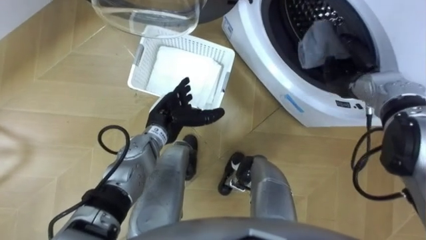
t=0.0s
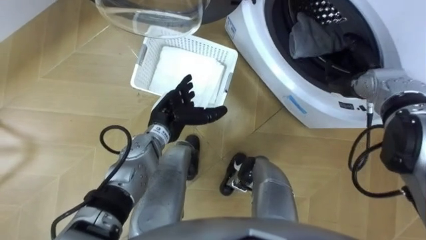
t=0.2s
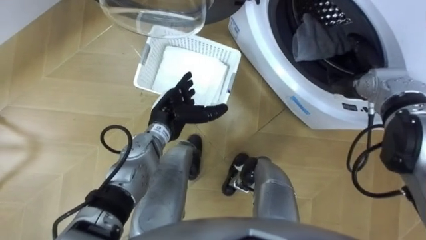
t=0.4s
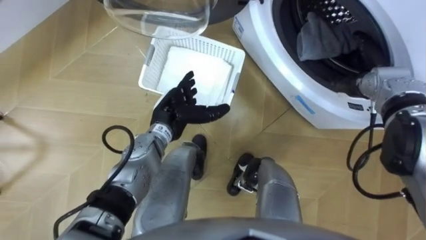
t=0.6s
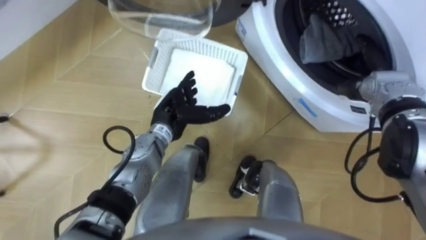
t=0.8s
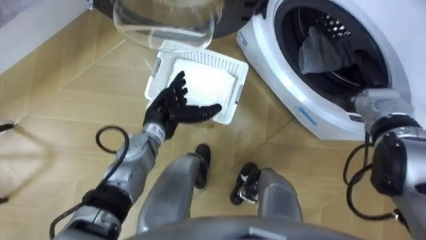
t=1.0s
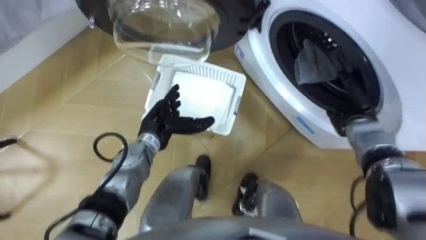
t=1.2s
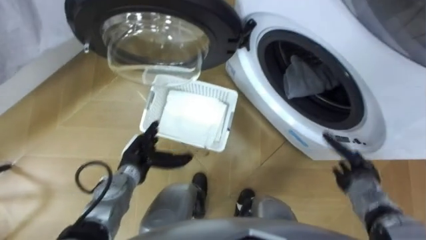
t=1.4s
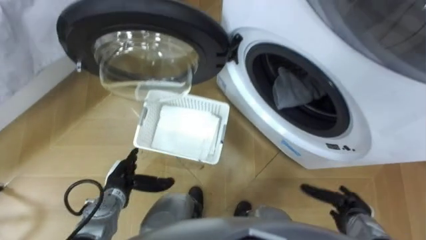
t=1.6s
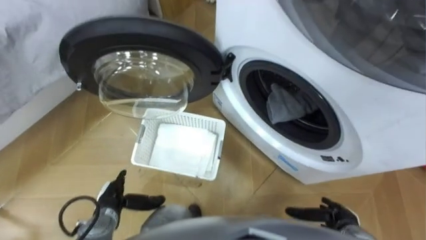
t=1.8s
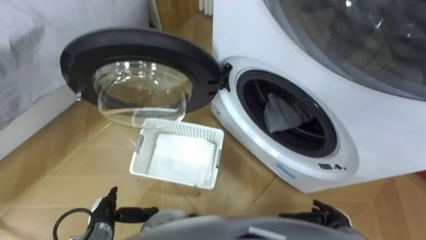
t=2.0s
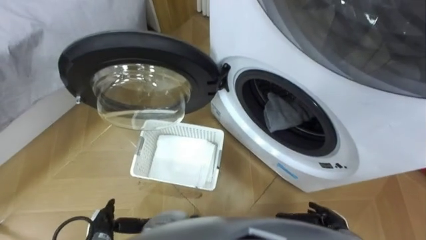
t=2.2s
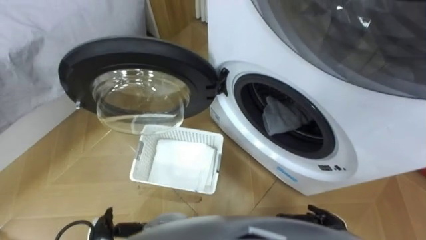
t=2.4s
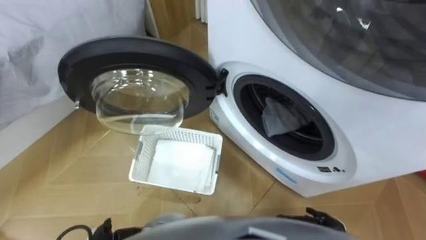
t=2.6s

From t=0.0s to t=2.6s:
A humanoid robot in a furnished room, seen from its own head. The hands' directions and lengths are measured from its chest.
Task of the whole recording: Take the towel from the basket and put it into the washing machine.
From t=0.0s to t=1.2s: The right hand is displaced backward and downward by approximately 10 cm.
From t=1.2s to t=2.6s: The right hand is displaced backward and downward by some 25 cm.

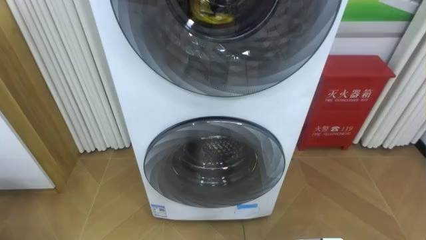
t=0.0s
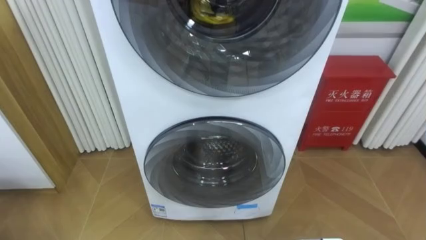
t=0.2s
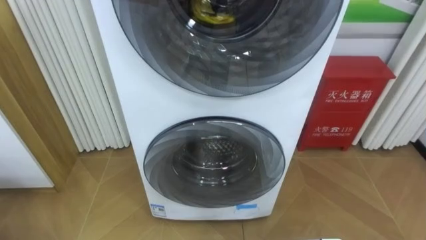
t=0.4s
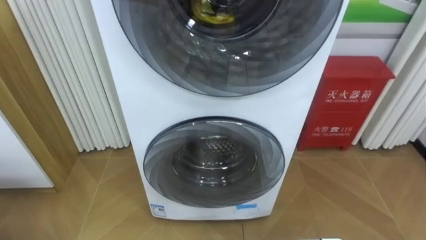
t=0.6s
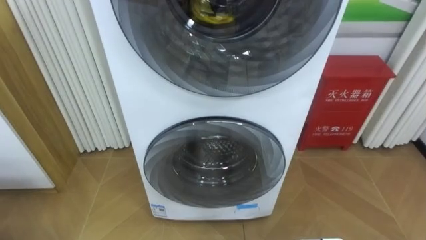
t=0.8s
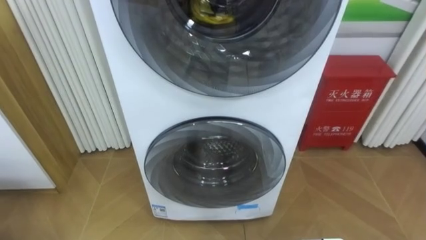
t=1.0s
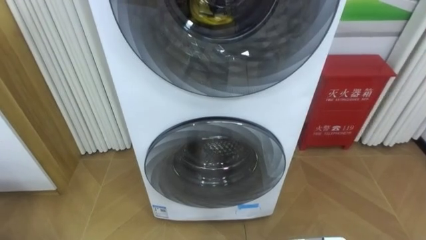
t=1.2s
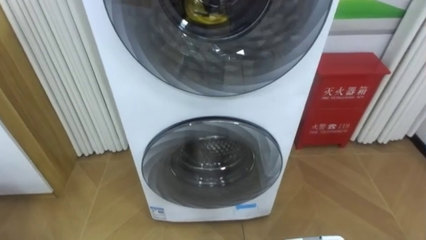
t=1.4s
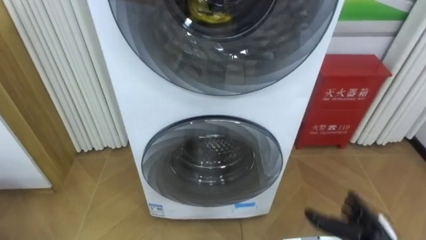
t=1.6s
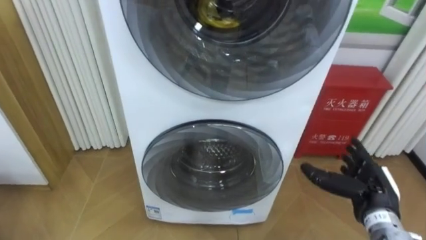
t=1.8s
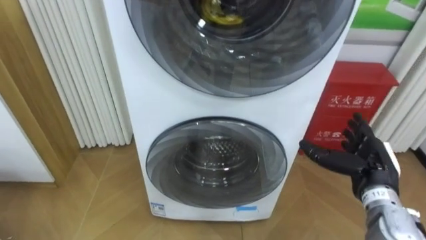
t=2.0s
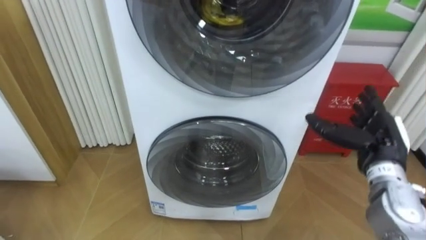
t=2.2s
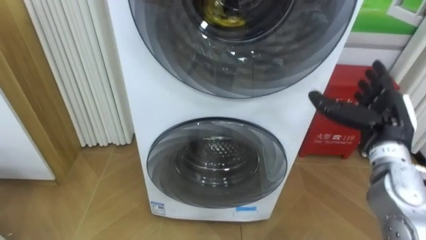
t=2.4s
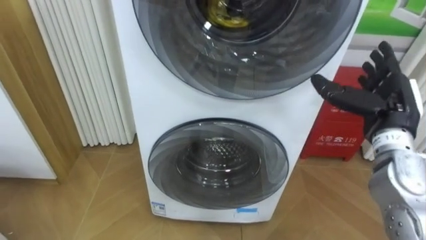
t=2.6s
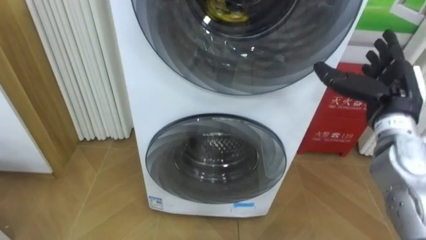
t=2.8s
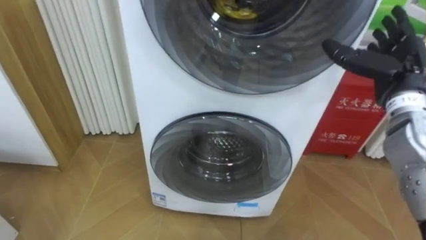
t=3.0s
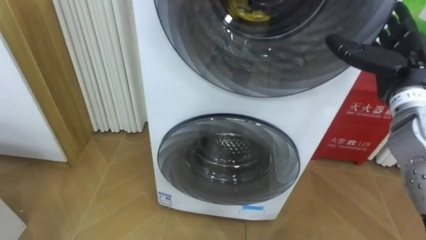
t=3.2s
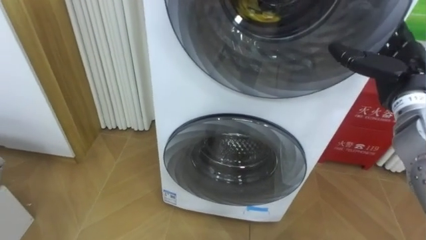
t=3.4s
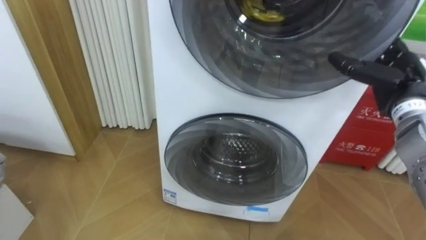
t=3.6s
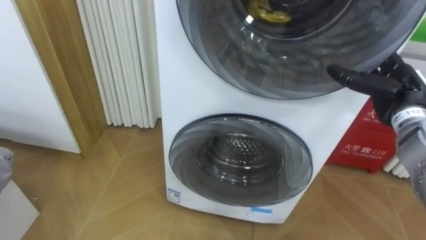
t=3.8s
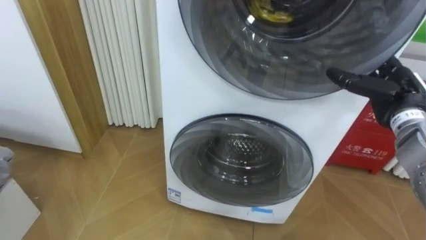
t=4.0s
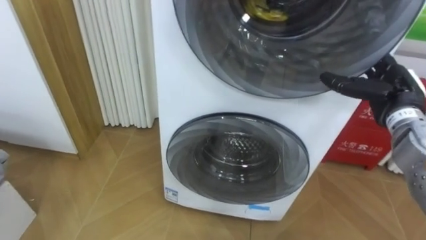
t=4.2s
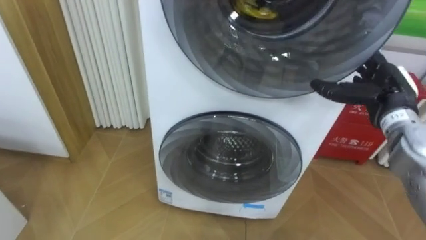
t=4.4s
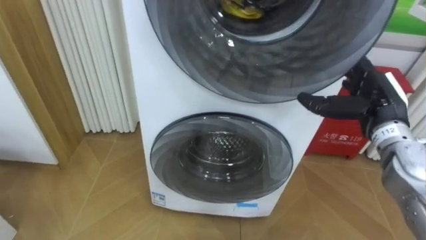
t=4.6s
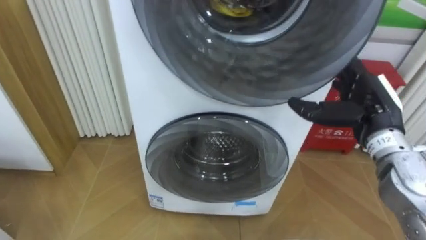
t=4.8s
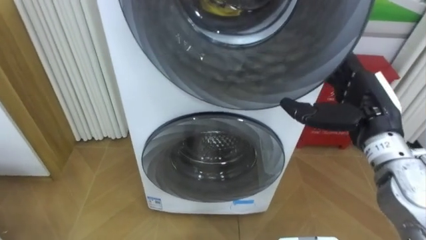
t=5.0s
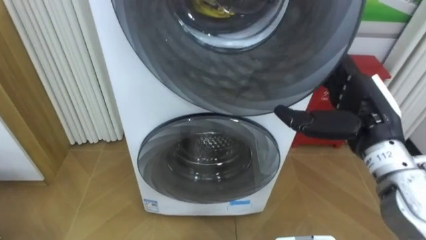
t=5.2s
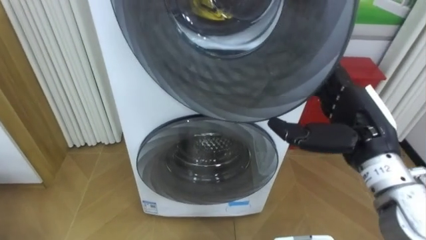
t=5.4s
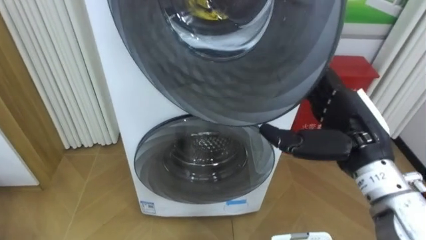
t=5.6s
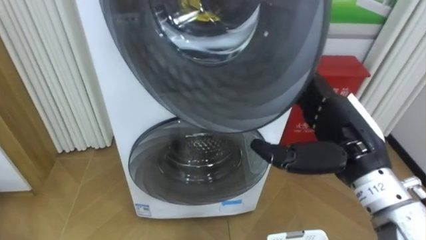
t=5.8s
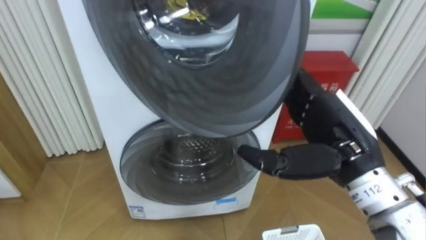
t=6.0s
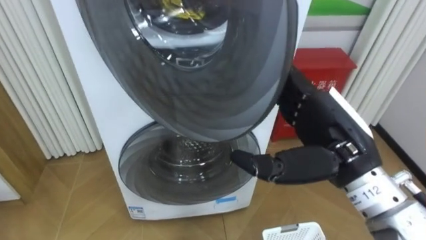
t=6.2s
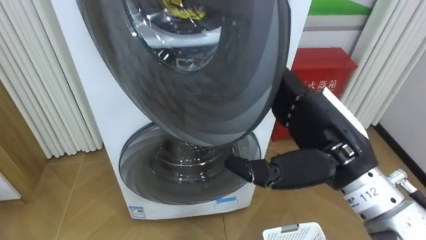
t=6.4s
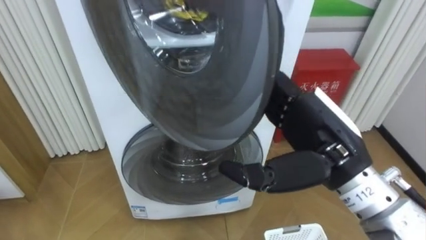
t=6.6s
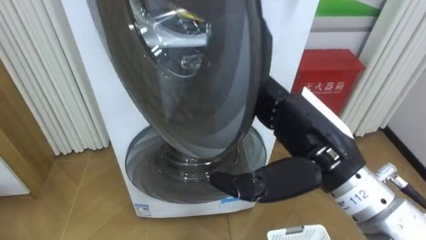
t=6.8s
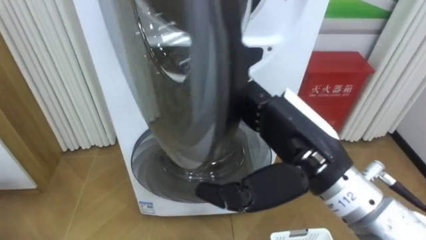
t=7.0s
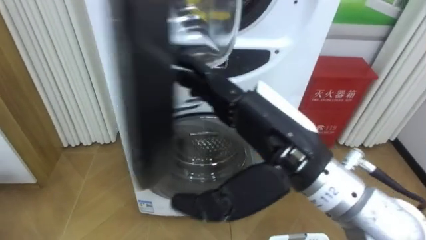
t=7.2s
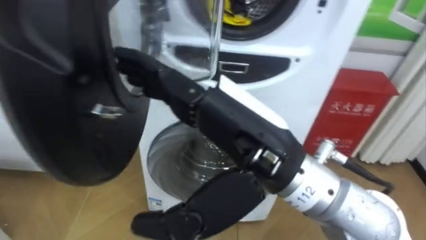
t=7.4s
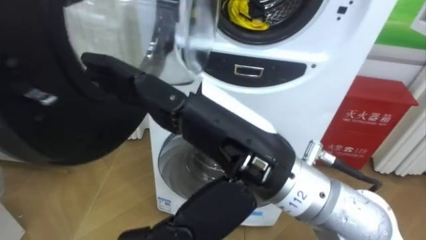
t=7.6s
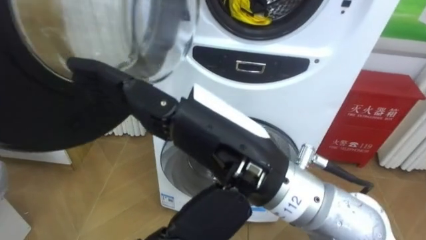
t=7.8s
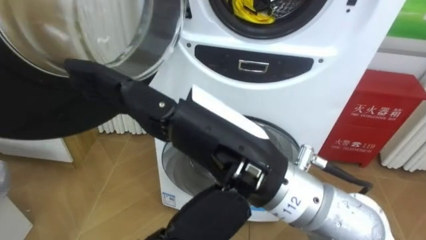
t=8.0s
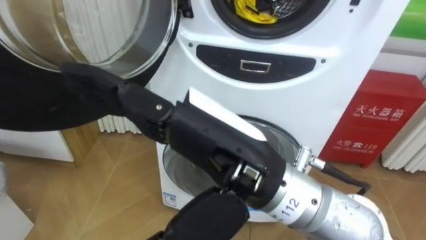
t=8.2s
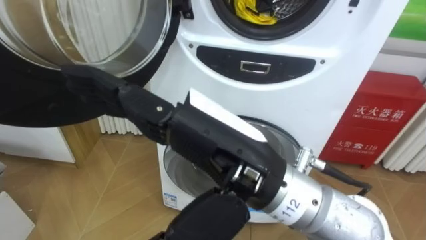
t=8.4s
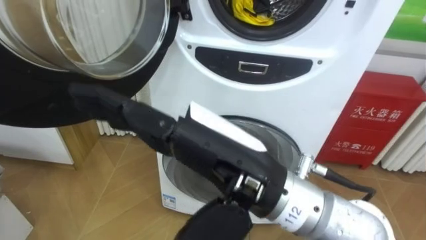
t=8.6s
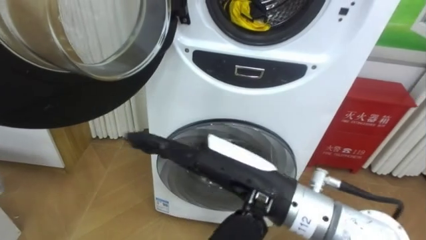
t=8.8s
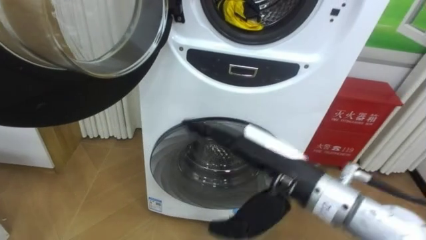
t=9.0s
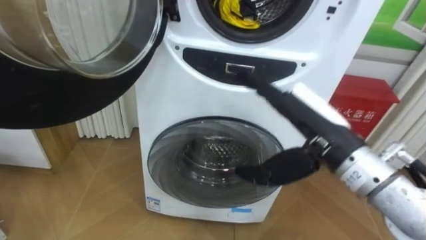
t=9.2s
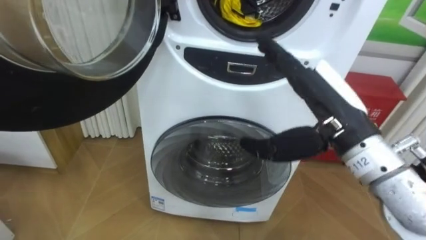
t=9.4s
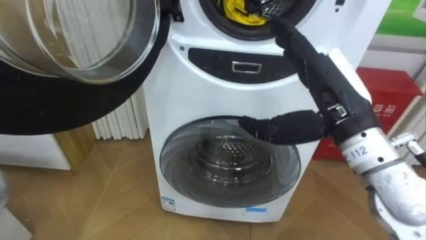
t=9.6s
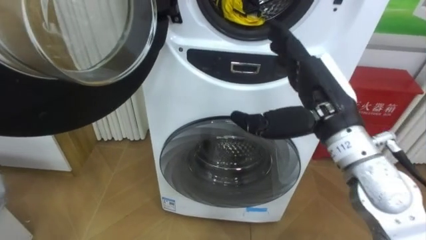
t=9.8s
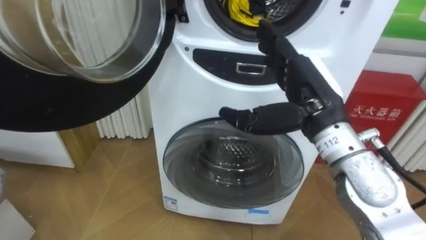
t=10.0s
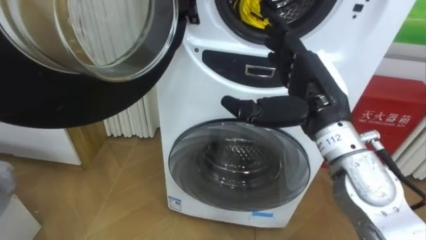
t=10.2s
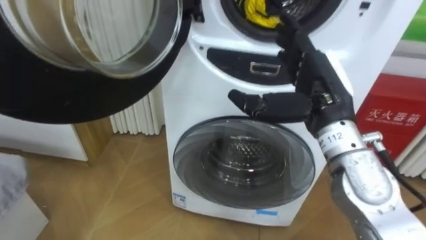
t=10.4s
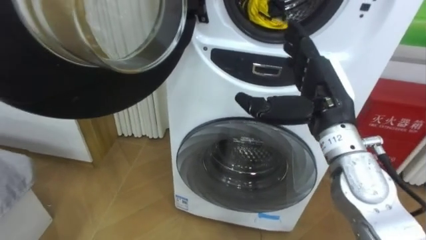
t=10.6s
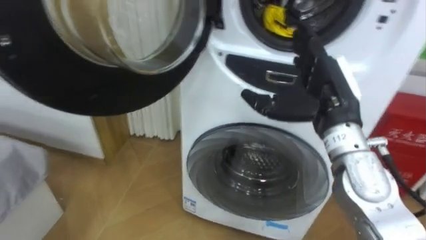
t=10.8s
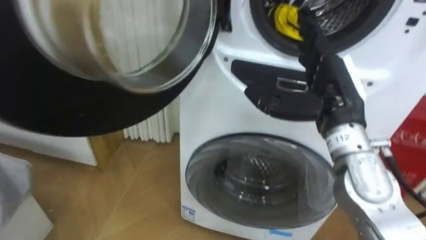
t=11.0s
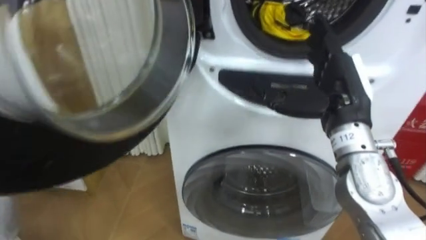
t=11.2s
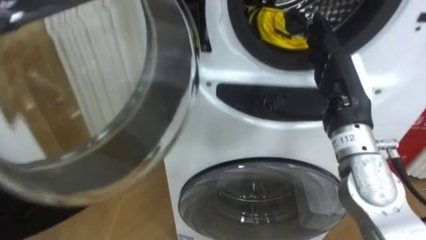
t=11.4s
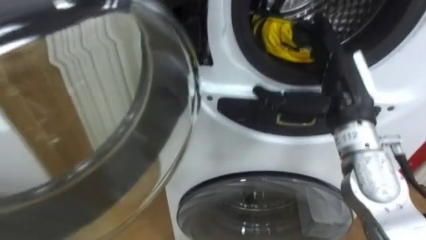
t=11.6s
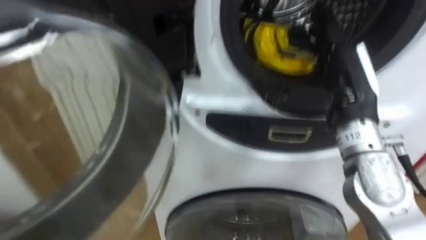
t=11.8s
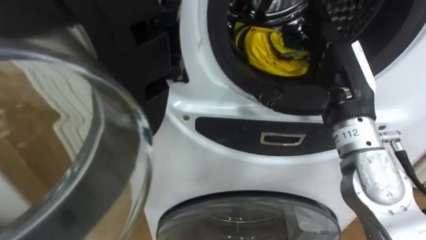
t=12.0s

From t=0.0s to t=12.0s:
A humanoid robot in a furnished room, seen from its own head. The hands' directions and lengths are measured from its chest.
Task of the whole recording: Open the washing machine door, take out the yellow clothes, place them in the box on the right, and close the washing machine door.
From t=1.6s to t=3.0s: The right hand heads upward and forward, covering roughly 30 cm.
From t=3.0s to t=4.4s: The right hand goes roughly 5 cm downward.
From t=4.4s to t=6.0s: The right hand heads backward and to the left, covering approximately 15 cm.
From t=6.0s to t=7.6s: The right hand heads to the left, upward and backward, covering roughly 15 cm.
From t=7.6s to t=9.0s: The right hand heads downward and to the right, covering about 10 cm.
From t=9.0s to t=10.4s: The right hand heads forward and to the right, covering roughly 10 cm.

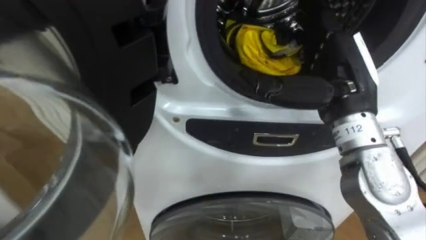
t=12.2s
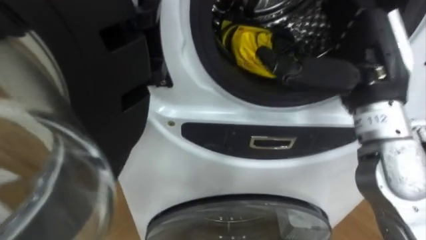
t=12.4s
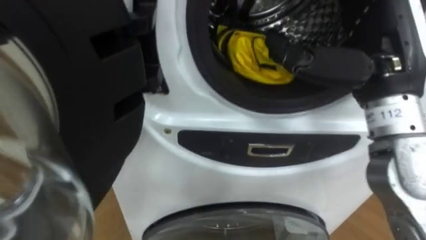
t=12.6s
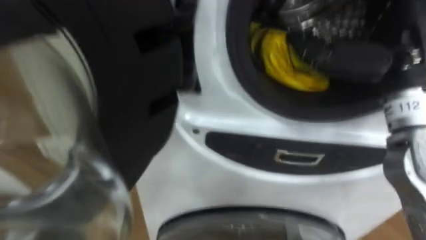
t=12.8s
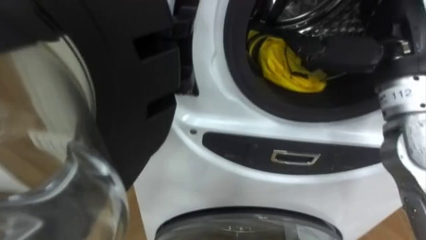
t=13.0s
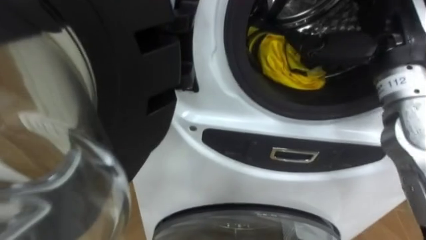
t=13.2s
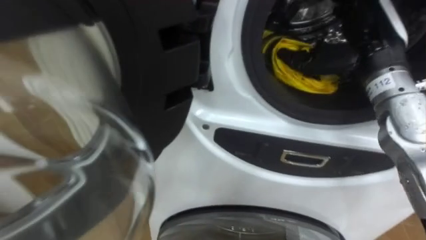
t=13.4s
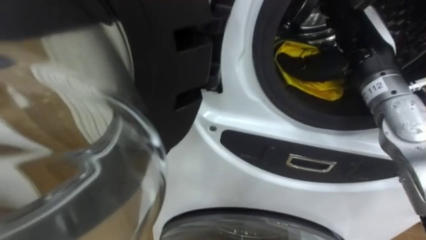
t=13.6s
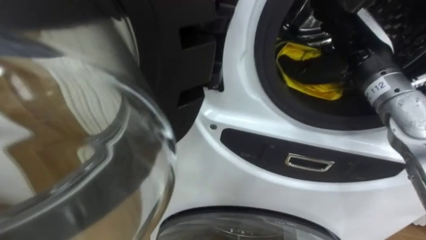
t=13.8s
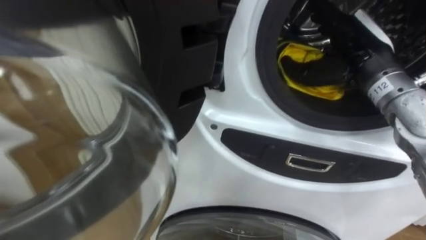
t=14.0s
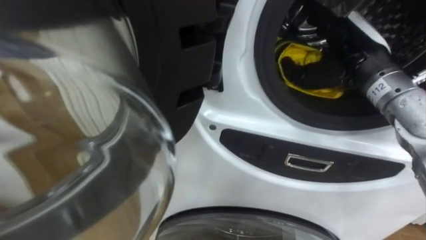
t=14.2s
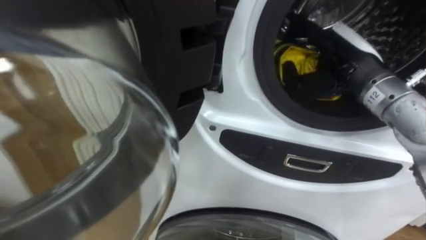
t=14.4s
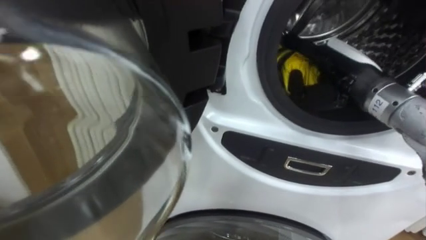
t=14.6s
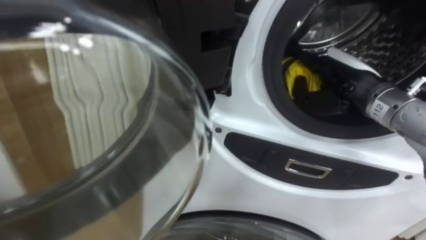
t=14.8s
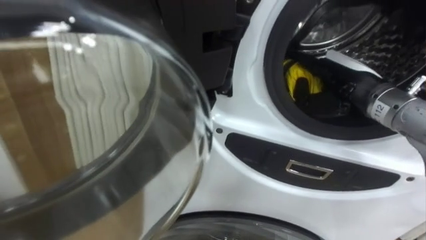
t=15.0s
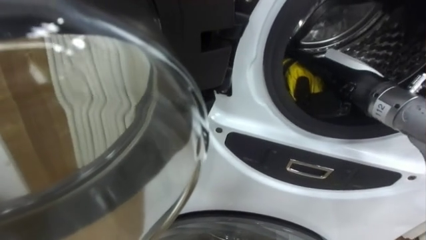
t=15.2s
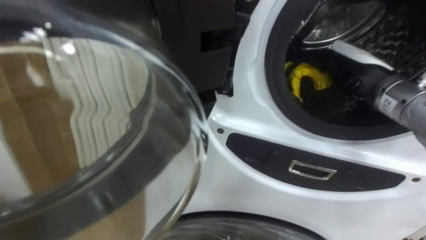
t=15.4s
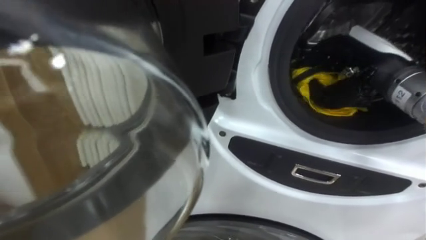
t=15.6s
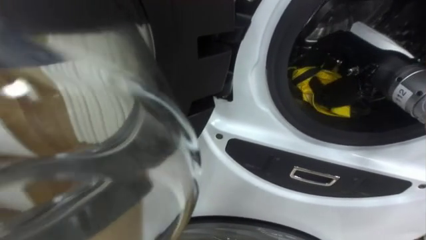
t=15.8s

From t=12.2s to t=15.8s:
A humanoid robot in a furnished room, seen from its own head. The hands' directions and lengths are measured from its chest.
Task of the whole recording: Open the washing machine door, take out the yellow clothes, place them in the box on the right, and close the washing machine door.
From t=12.2s to t=14.0s: The right hand is displaced forward by approximately 5 cm.
From t=14.0s to t=15.8s: The right hand closes.
